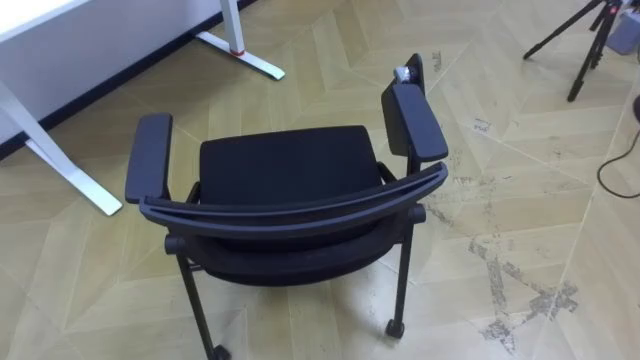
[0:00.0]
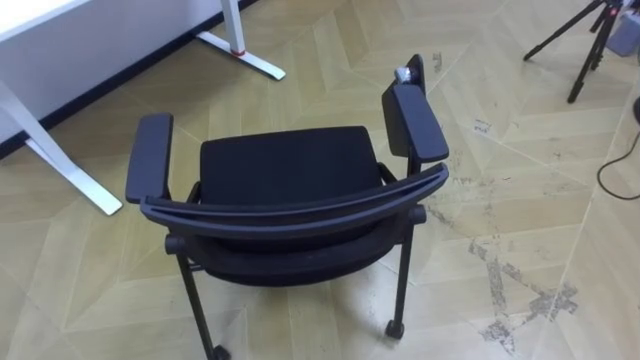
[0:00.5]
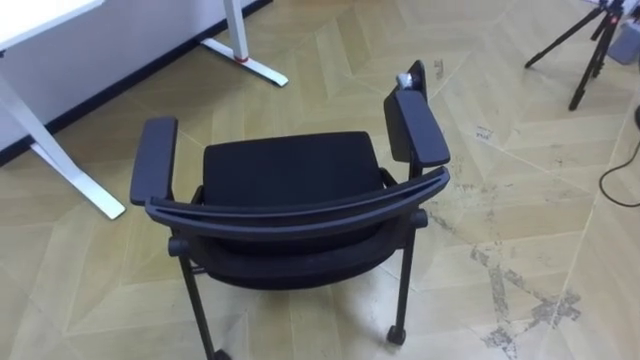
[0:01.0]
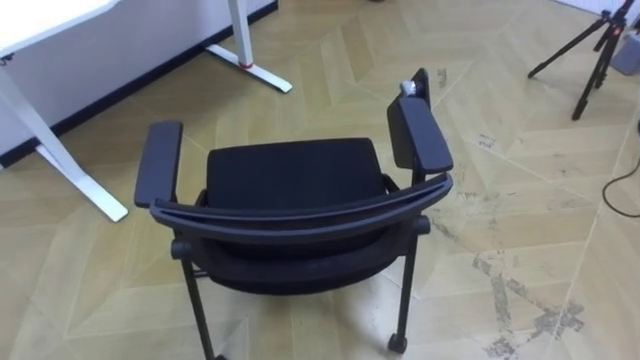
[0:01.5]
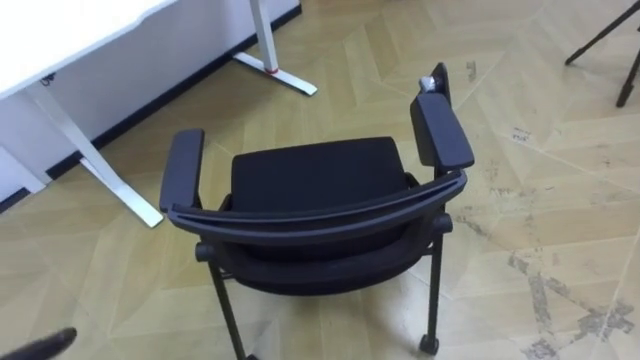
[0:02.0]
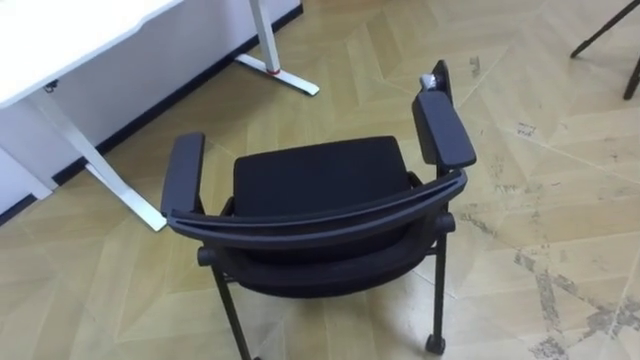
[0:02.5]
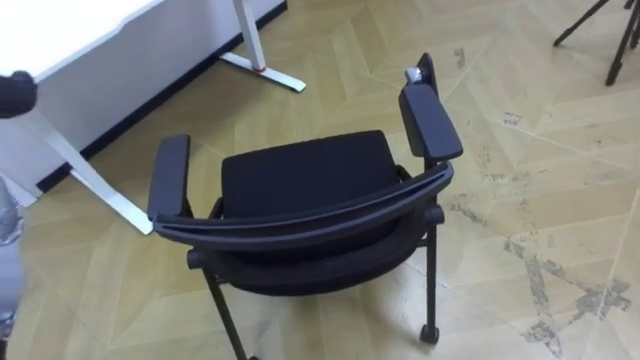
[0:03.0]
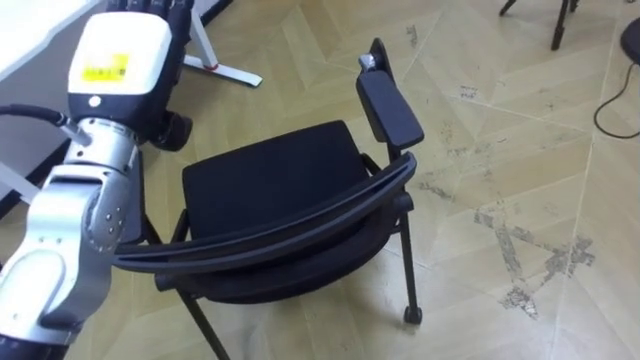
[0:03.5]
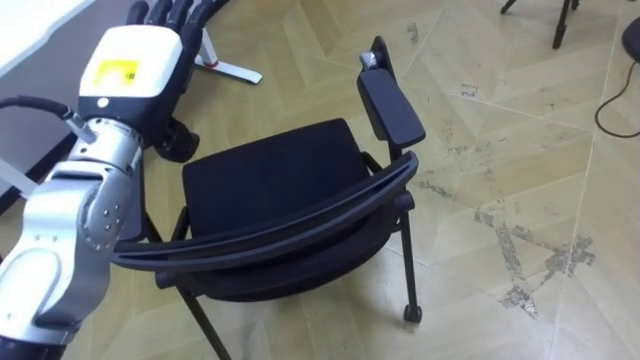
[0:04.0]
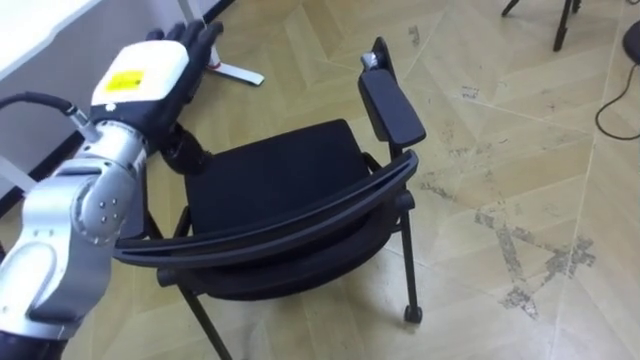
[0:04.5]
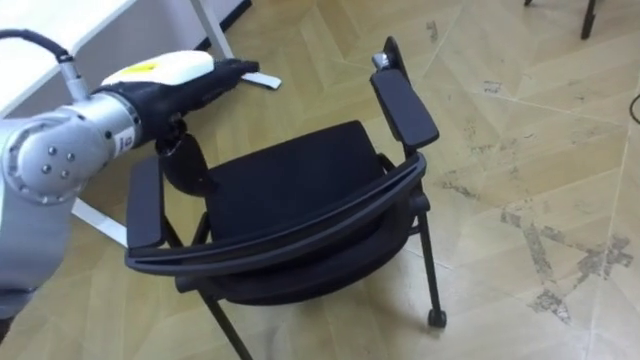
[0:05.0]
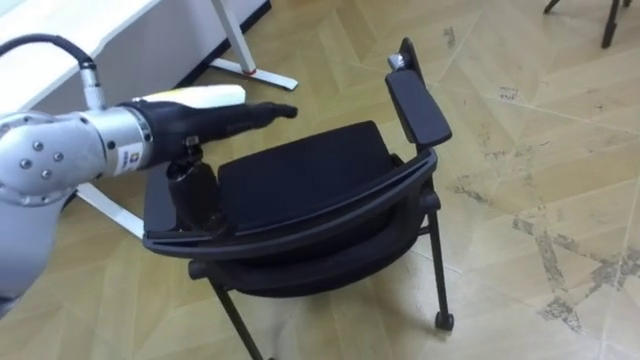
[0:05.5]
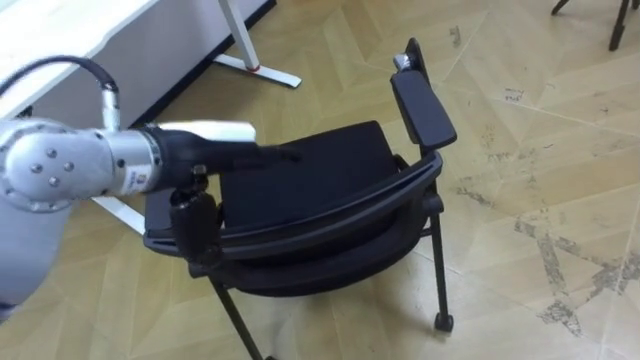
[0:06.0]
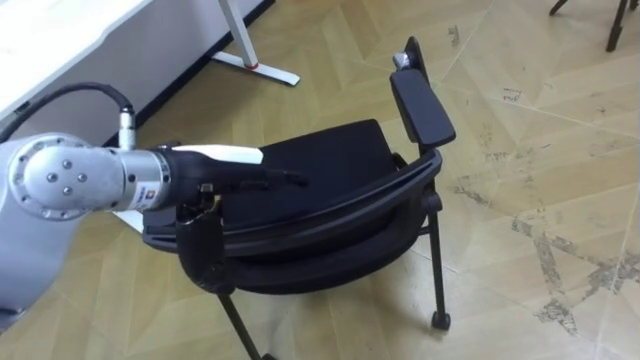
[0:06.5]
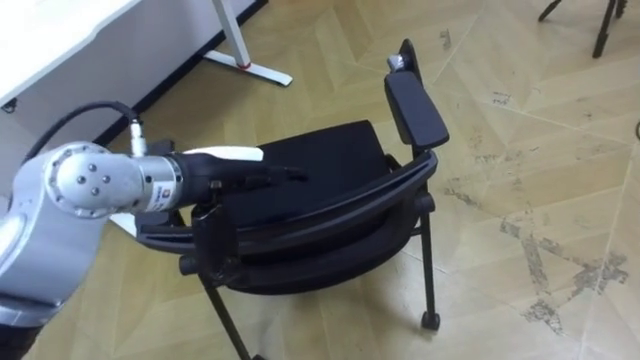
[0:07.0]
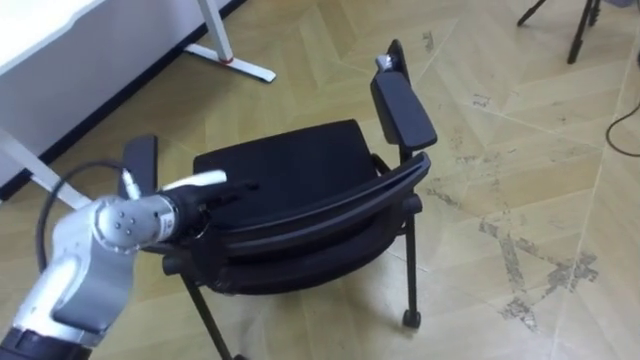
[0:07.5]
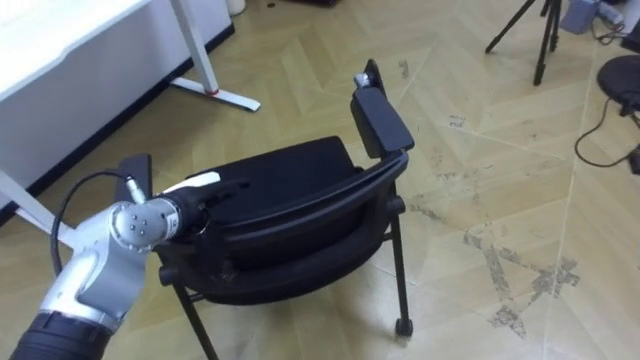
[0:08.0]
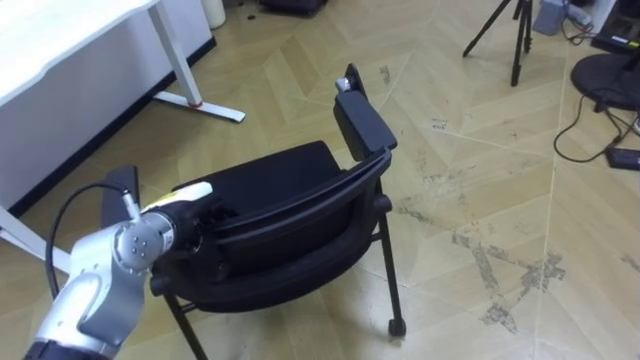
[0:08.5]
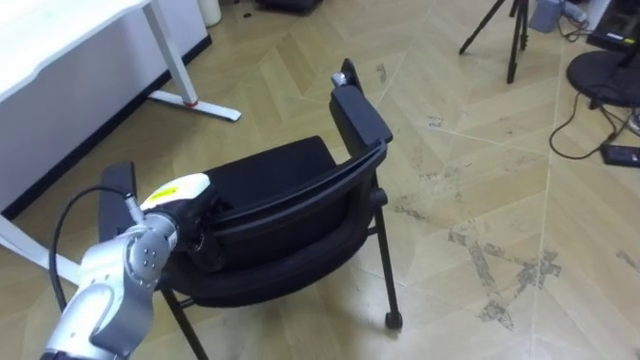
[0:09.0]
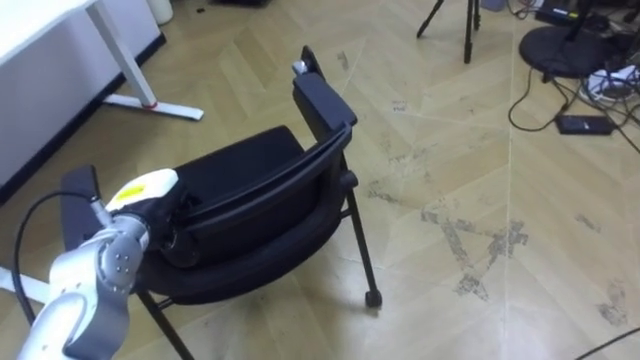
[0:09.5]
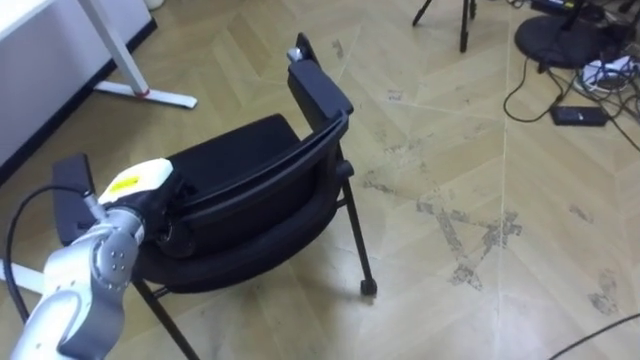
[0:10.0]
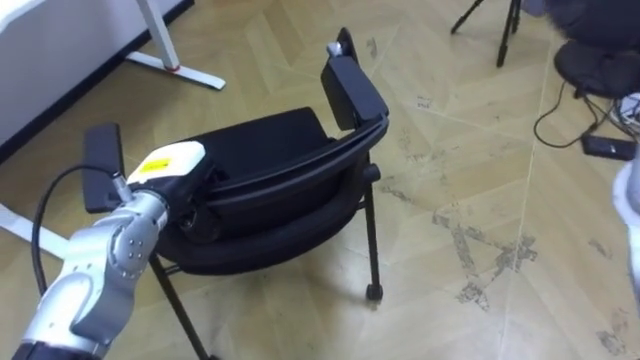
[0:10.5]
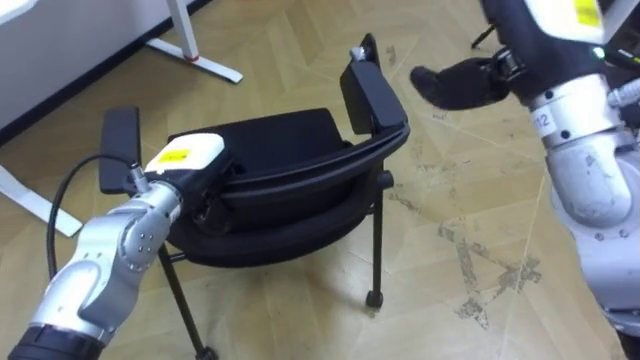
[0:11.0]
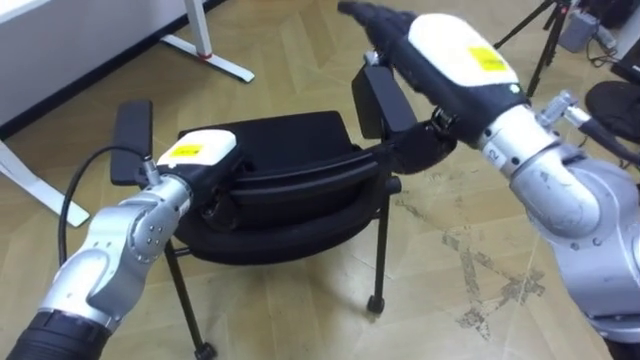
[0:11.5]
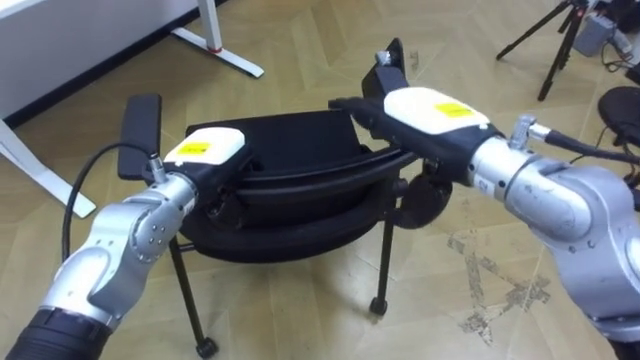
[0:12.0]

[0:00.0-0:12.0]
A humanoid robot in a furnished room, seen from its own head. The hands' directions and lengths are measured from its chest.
Task of the whole recording: Push the chair under the table.
0:04.0 to 0:06.0: The left hand is displaced to the right and backward by about 10 cm.
0:06.0 to 0:08.0: The left hand moves downward, about 15 cm.
0:08.0 to 0:10.0: The left hand moves to the left, about 5 cm, and closes its fingers.
0:10.0 to 0:12.0: The left hand heads to the right, covering approximately 10 cm.

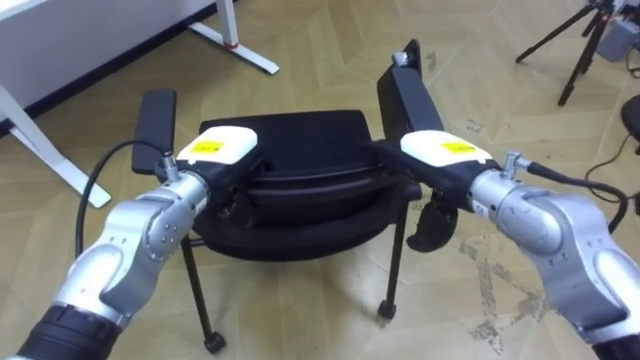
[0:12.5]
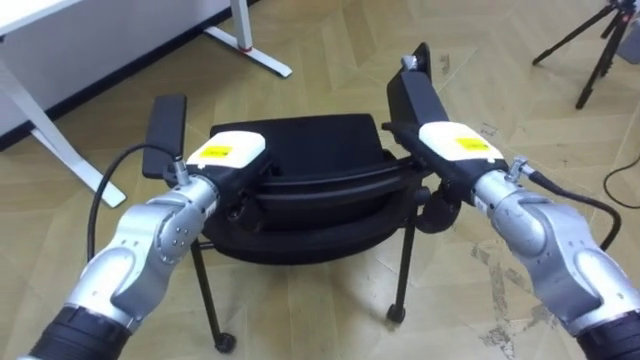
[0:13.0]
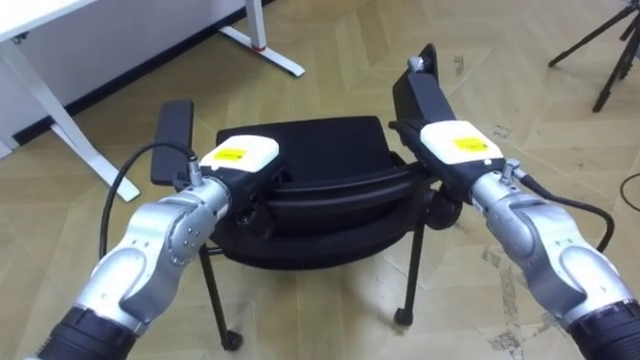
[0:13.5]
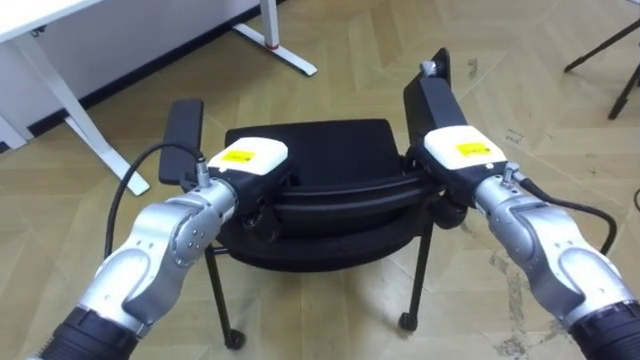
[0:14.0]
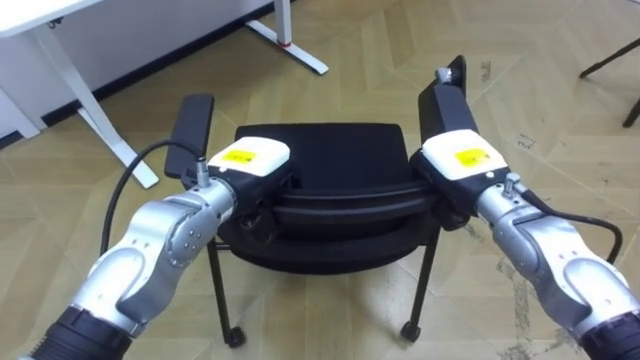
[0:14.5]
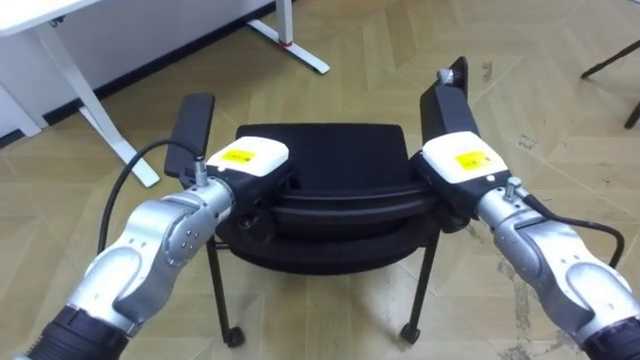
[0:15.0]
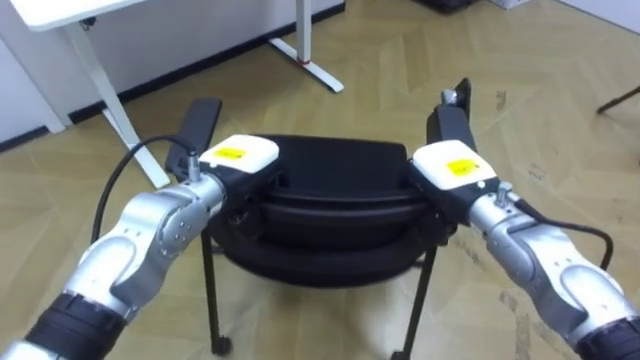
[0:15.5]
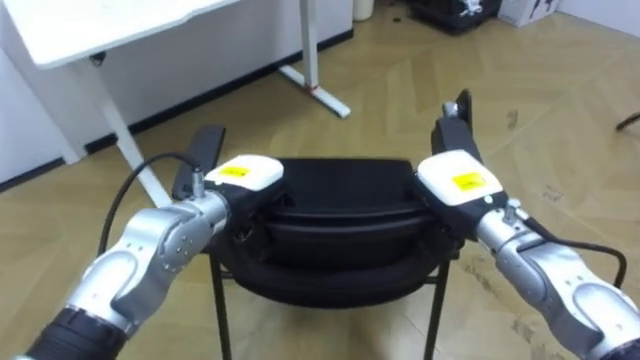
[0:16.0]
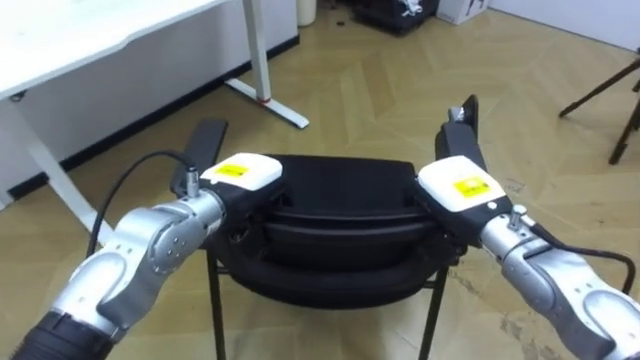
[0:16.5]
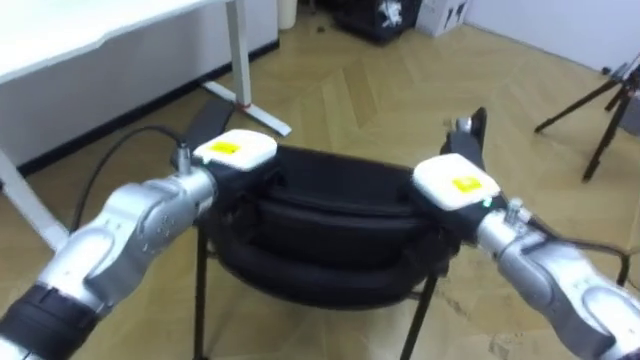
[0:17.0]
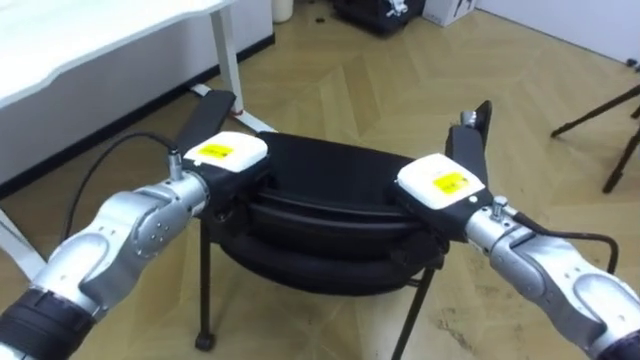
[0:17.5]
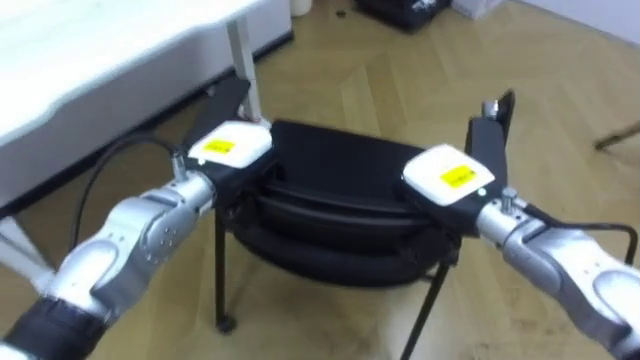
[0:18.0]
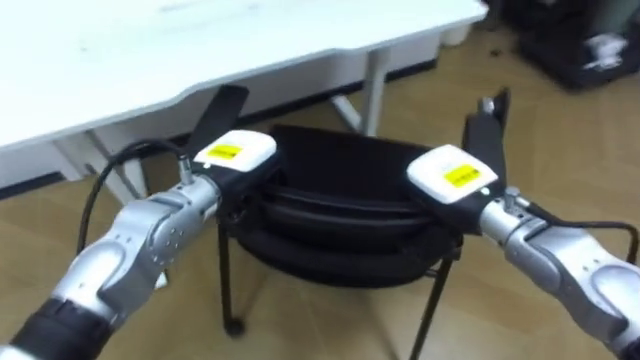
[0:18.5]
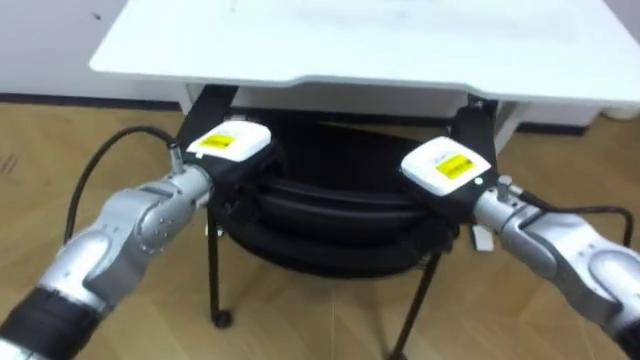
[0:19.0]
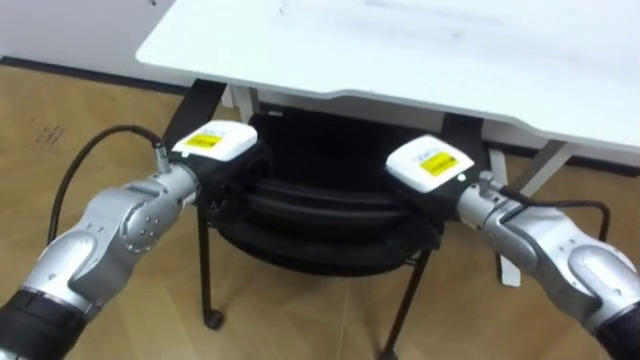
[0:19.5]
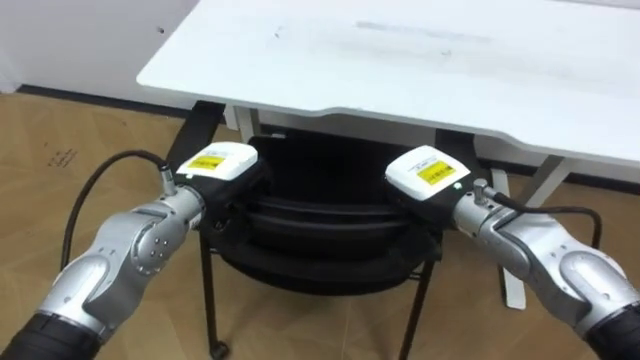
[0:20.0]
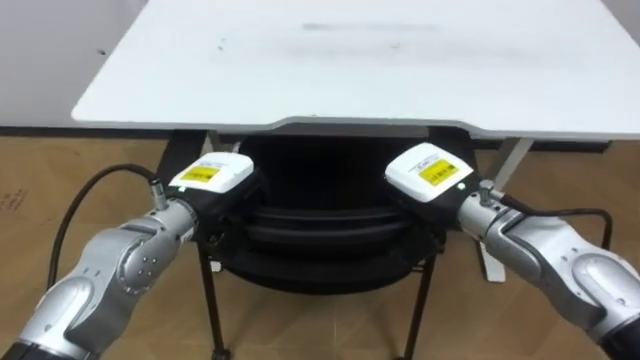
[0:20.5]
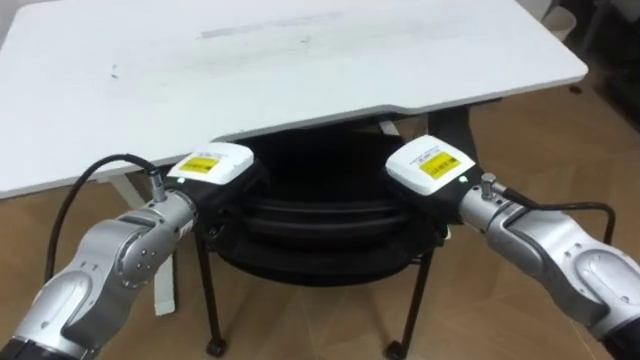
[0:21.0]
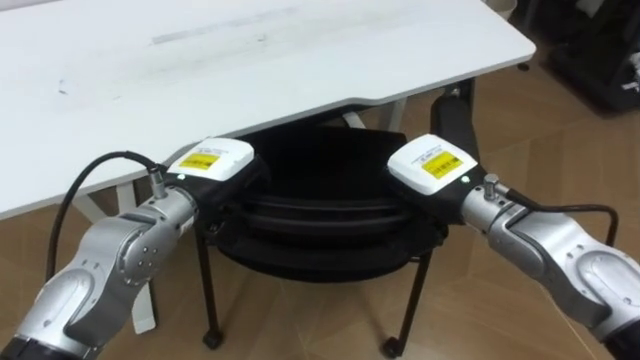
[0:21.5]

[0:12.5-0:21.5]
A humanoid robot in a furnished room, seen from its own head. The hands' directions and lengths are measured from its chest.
Task of the whole recording: Push the chair under the table.
0:12.5 to 0:14.5: The right hand ends up approximately 5 cm from where it was, and closes.
0:17.0 to 0:19.5: The robot faces roughly 50 degrees further to its left.
0:19.5 to 0:21.5: The robot rotates some 25 degrees to its right.
